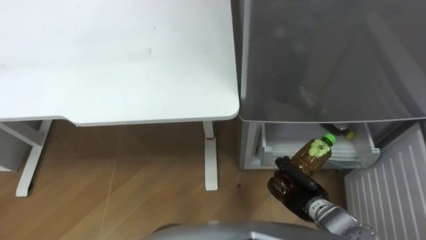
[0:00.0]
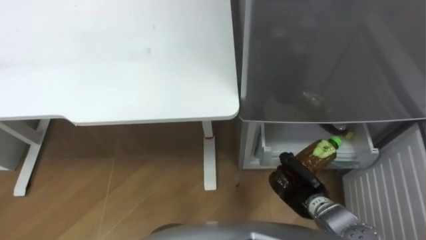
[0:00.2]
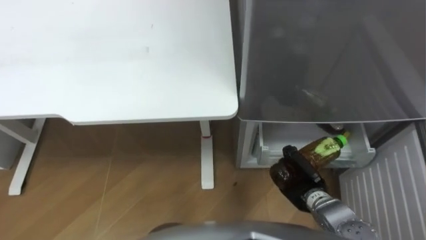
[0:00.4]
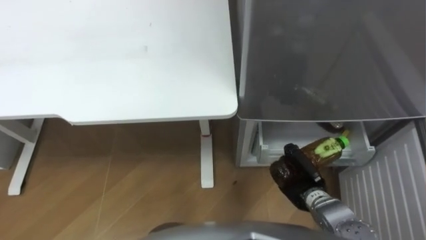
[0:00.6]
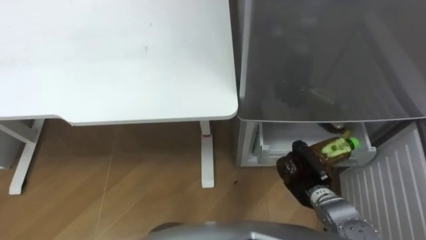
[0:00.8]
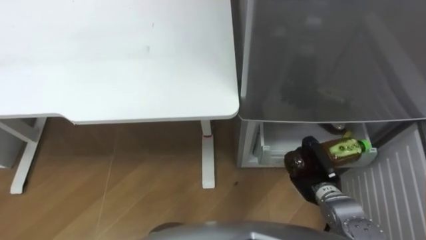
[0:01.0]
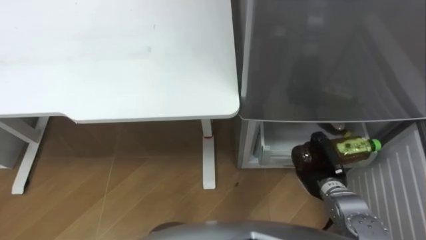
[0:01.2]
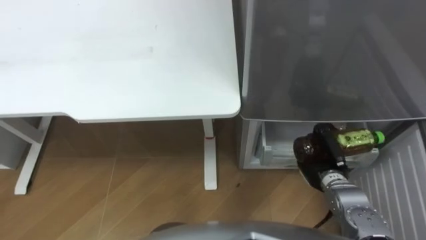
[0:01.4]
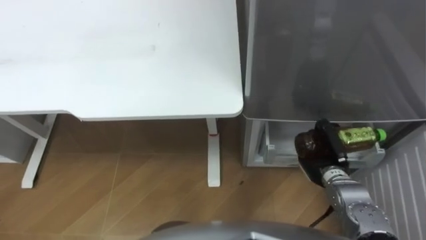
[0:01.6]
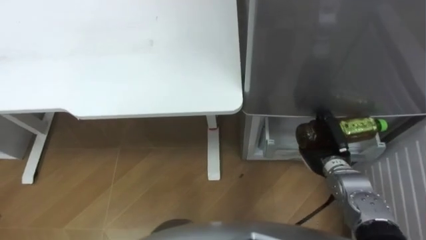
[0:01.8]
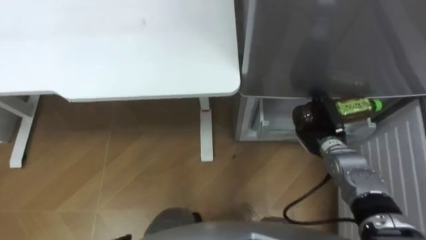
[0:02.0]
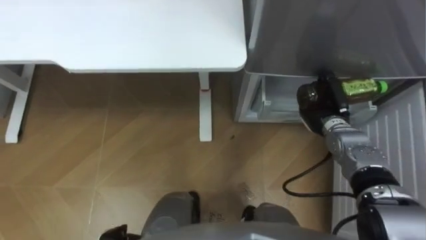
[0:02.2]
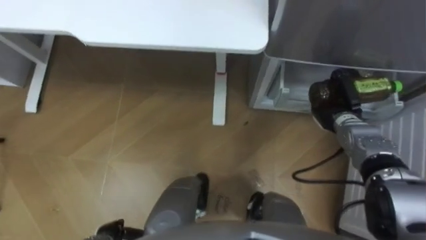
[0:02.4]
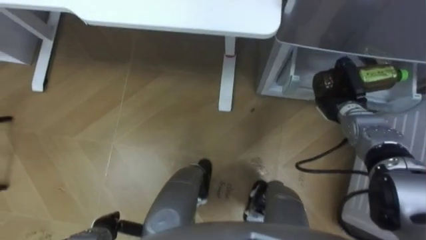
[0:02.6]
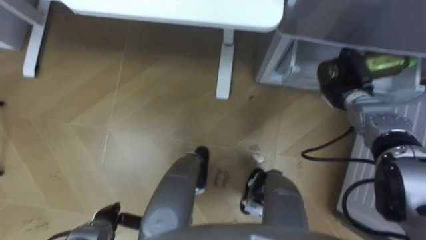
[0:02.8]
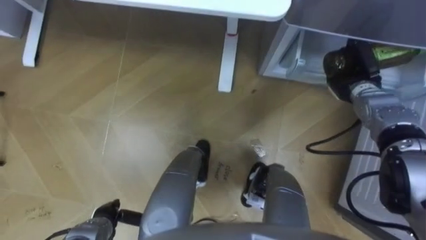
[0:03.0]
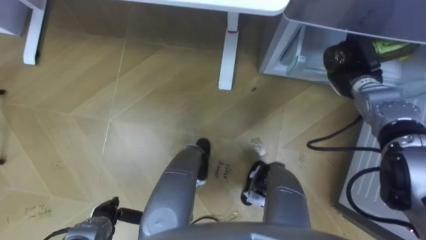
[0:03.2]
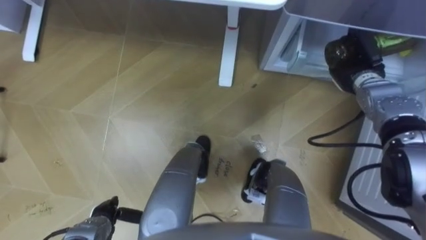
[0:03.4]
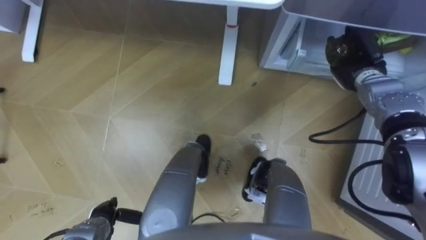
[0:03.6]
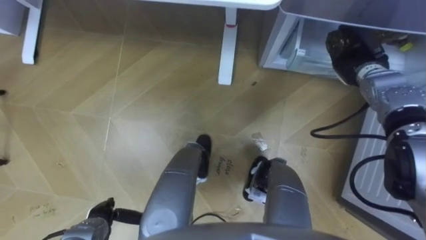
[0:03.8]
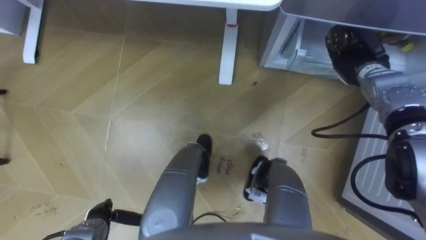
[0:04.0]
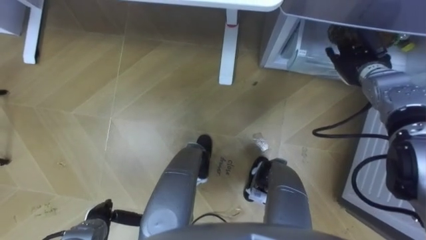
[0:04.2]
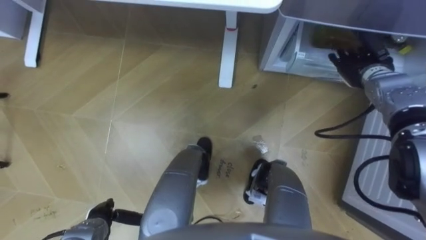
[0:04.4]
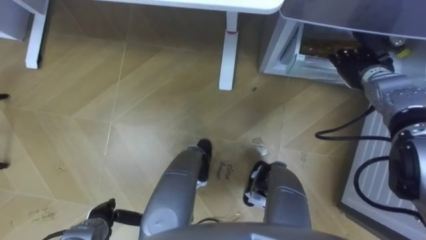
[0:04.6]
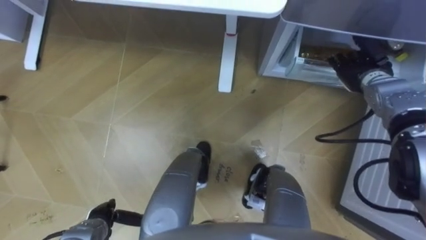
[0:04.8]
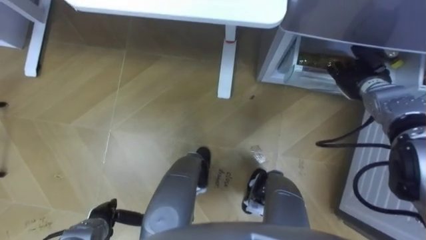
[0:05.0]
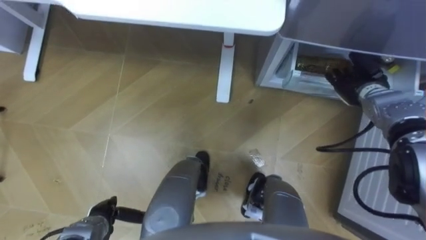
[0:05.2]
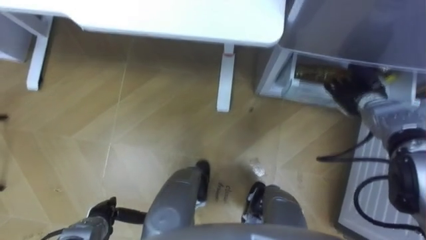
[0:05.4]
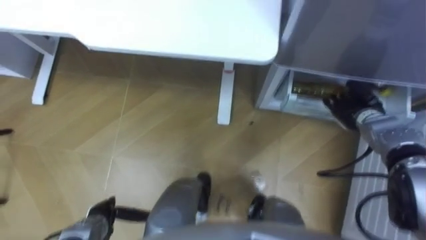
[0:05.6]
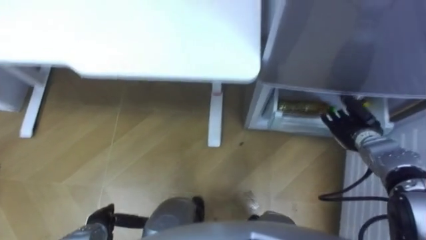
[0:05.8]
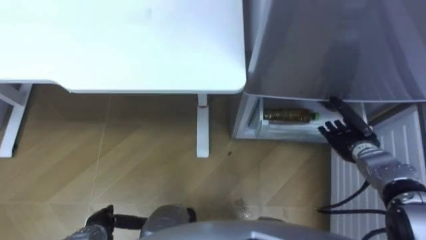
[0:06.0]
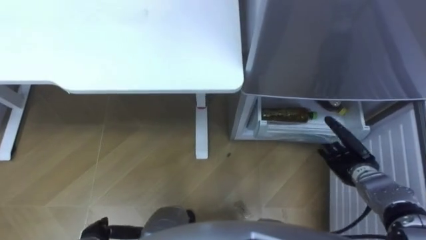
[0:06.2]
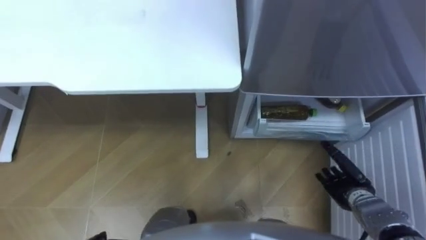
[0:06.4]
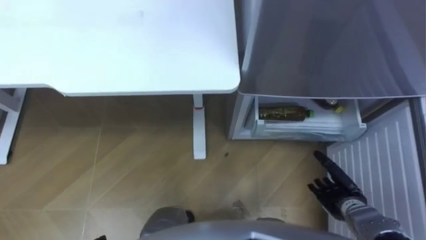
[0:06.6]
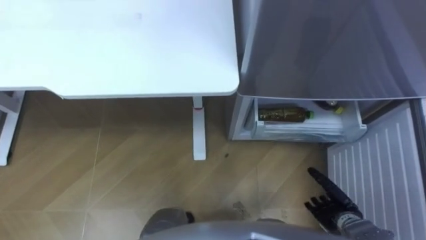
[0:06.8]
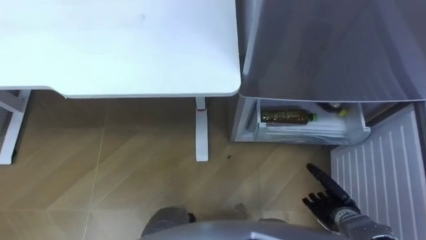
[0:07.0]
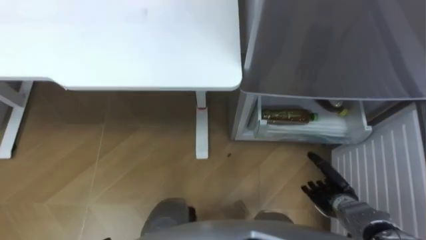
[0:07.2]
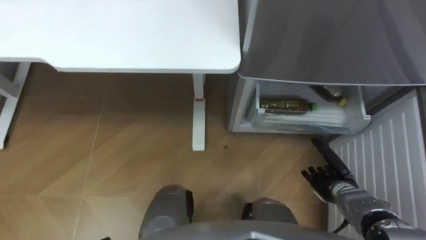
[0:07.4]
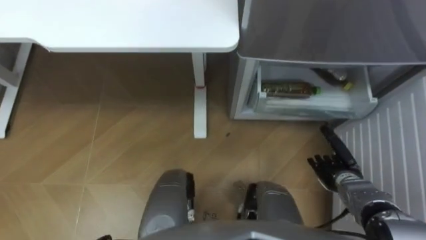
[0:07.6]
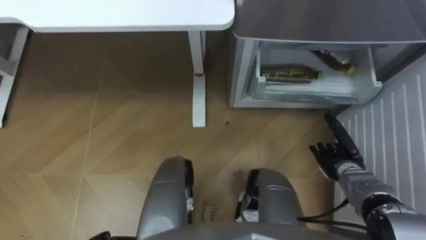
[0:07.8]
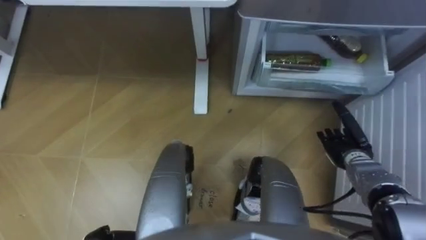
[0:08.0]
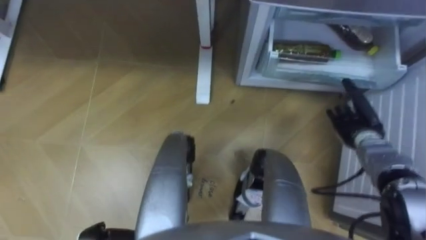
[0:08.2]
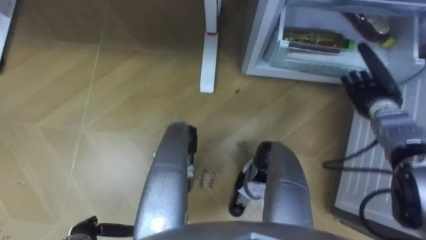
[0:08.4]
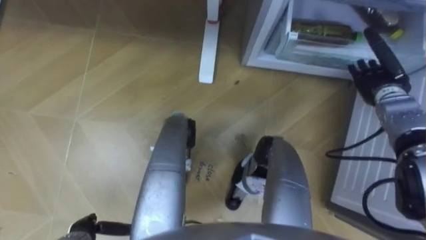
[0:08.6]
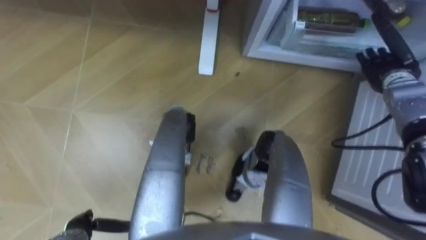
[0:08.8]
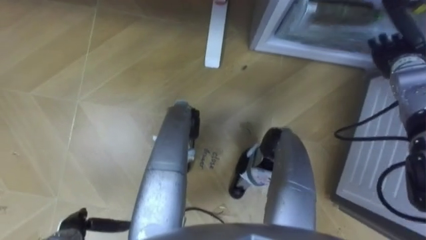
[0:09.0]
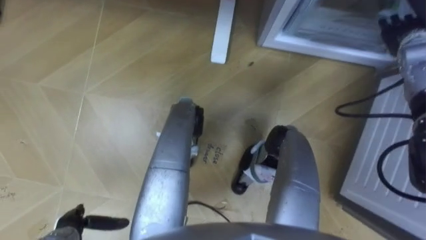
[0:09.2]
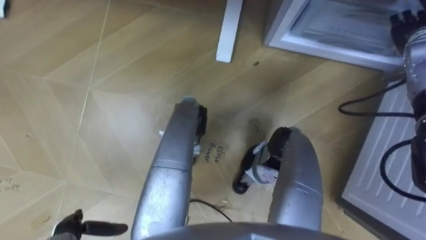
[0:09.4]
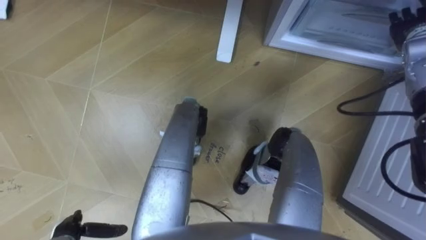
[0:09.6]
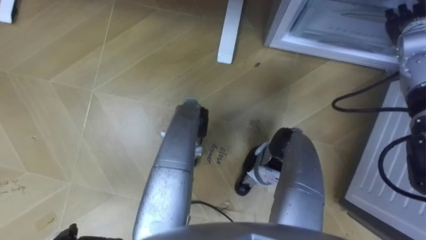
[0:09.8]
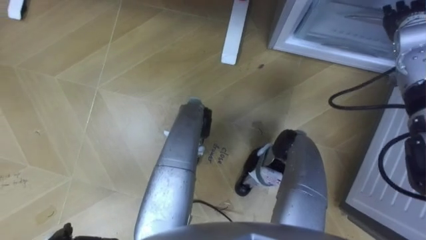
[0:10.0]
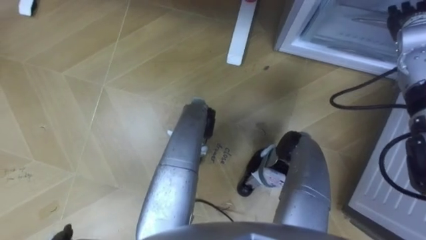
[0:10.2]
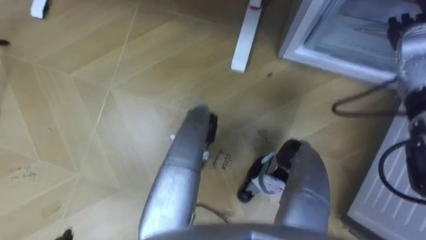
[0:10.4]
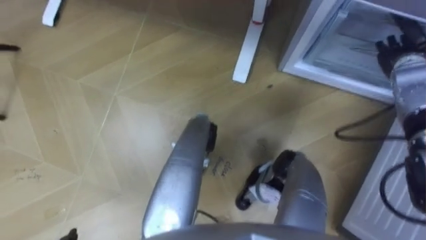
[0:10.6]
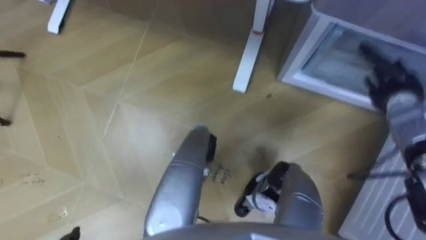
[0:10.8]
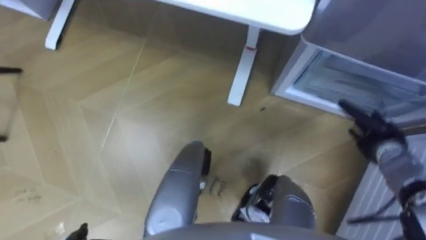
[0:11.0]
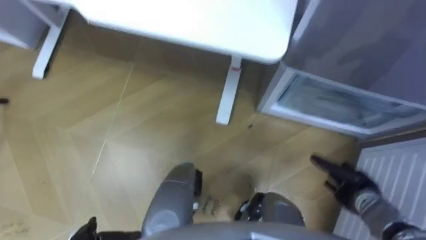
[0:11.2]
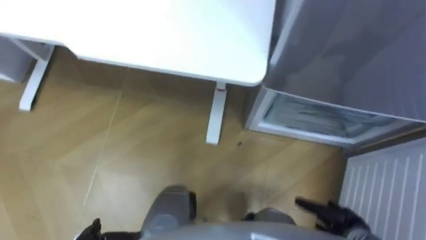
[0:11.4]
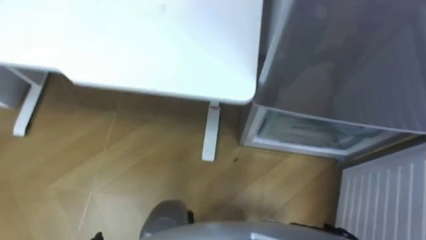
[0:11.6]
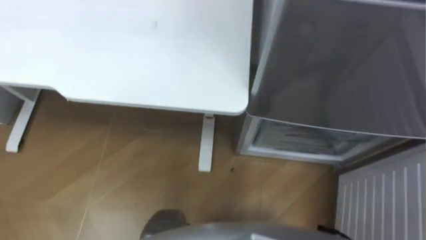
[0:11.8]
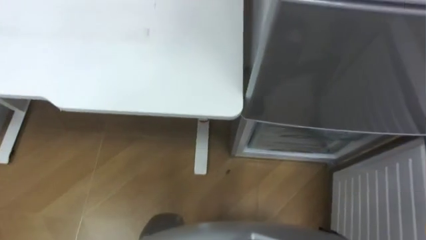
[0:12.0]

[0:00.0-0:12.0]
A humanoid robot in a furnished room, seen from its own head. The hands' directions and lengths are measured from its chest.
Task of the whole recording: Place the drink on the table on the bottom shelf of the refrigerator, then close the drawer and the refrigerator door.
0:00.0 to 0:01.6: The right hand is displaced forward by some 5 cm.
0:01.6 to 0:03.0: The right hand is displaced forward and upward by roughly 20 cm.
0:03.0 to 0:04.4: The right hand opens its fingers.
0:04.4 to 0:06.0: The right hand moves backward and downward, roughly 15 cm.
0:06.0 to 0:07.6: The right hand shifts roughly 5 cm backward.
0:07.6 to 0:09.0: The right hand travels forward and upward by about 25 cm.
0:09.0 to 0:10.4: The right hand changes place by roughly 5 cm.

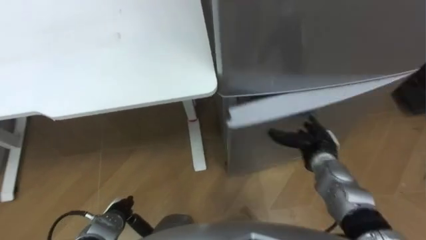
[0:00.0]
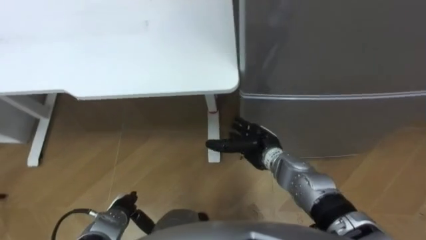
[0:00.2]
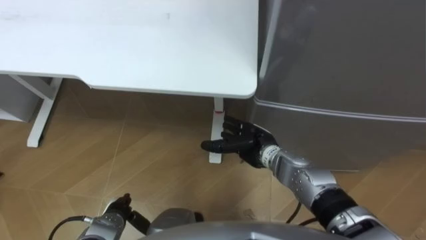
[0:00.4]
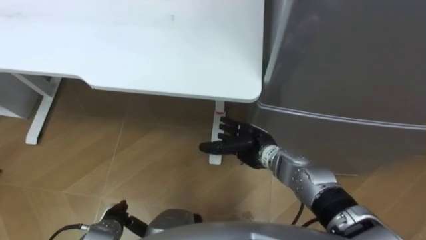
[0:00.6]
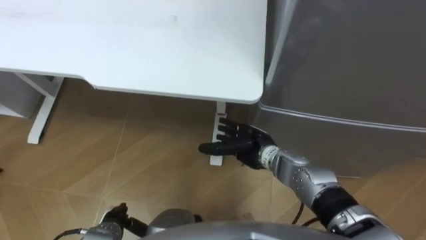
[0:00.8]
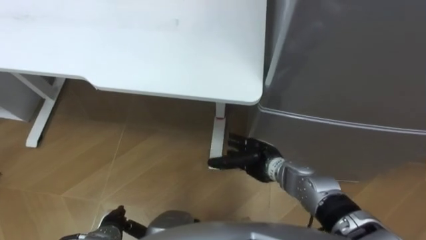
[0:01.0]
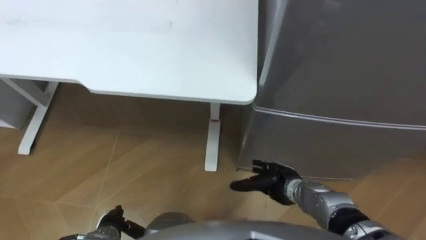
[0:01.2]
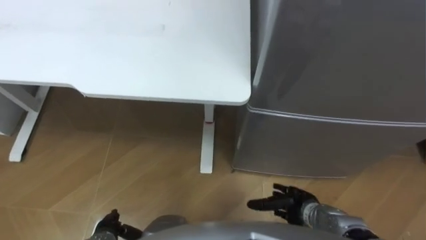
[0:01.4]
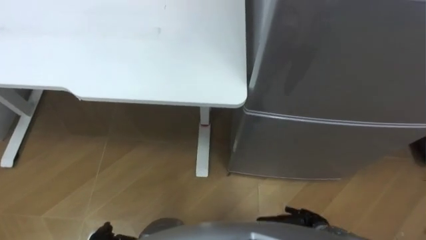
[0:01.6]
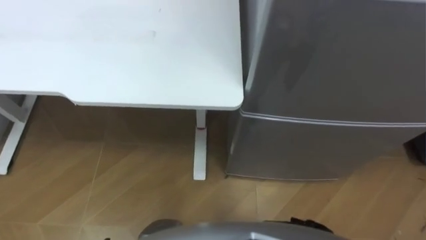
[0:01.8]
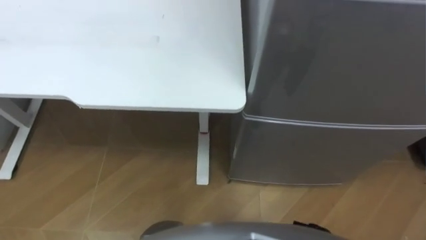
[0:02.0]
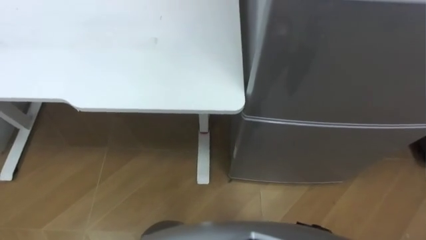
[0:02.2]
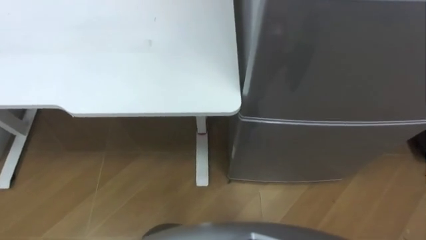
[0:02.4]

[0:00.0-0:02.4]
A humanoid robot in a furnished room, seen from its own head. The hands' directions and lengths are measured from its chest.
Task of the whole recording: Place the drink on the table on the bottom shelf of the refrigerator, then close the drawer and the refrigerator door.
0:00.0 to 0:01.2: The right hand is displaced to the left and backward by approximately 10 cm.

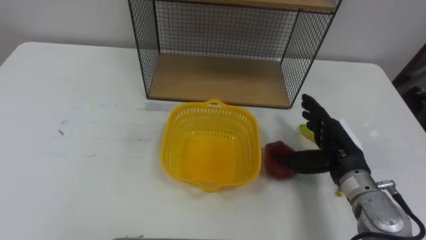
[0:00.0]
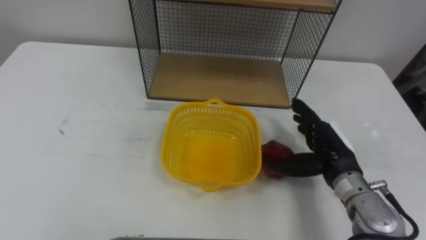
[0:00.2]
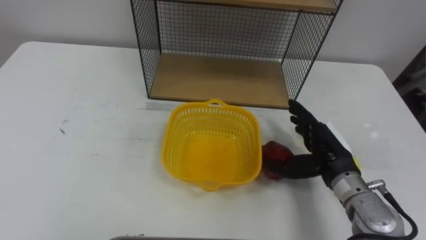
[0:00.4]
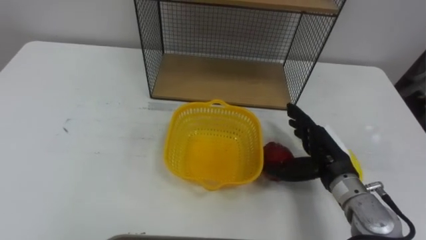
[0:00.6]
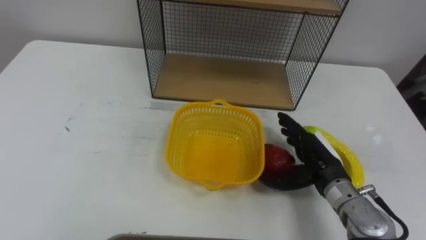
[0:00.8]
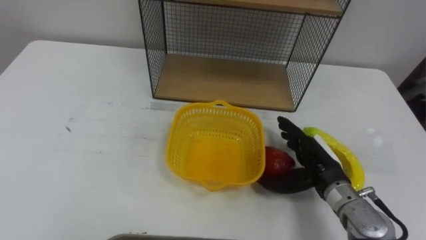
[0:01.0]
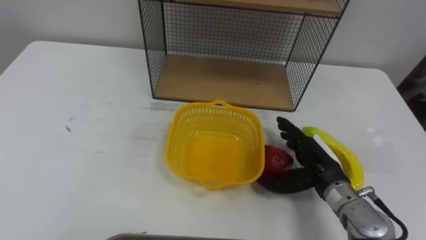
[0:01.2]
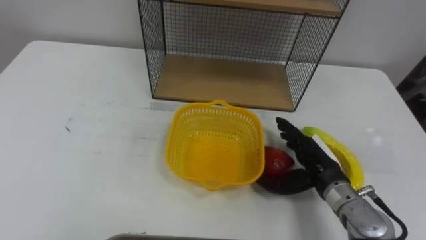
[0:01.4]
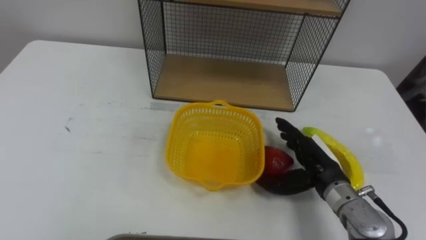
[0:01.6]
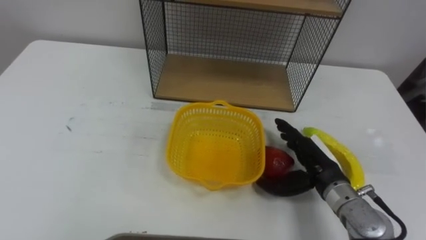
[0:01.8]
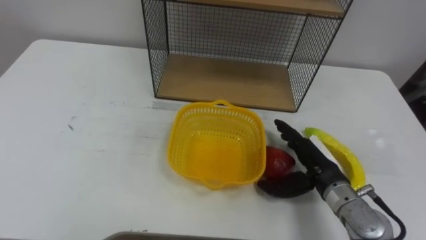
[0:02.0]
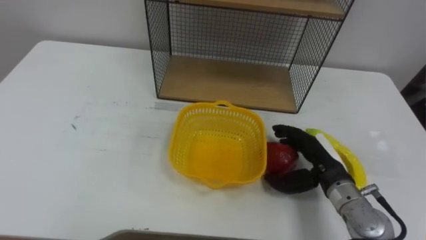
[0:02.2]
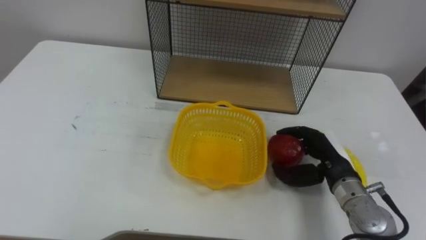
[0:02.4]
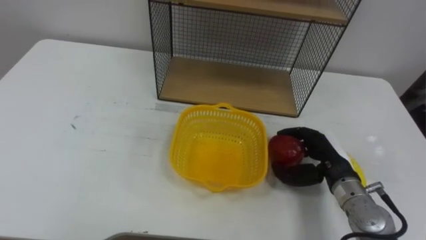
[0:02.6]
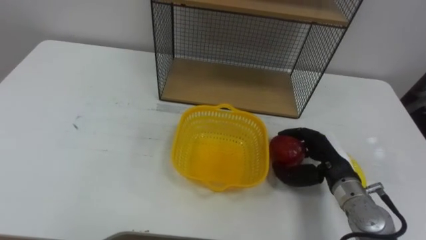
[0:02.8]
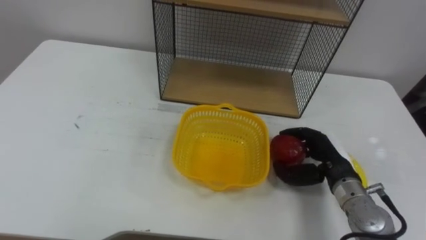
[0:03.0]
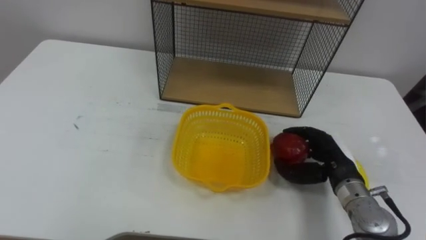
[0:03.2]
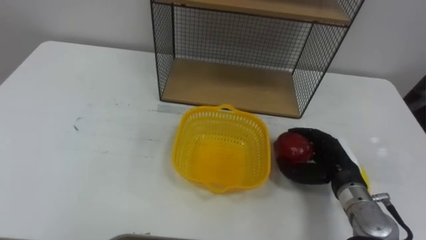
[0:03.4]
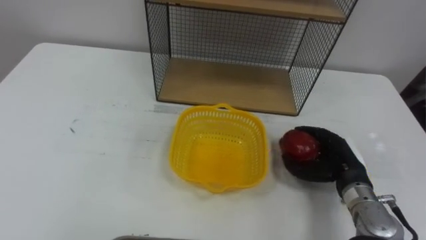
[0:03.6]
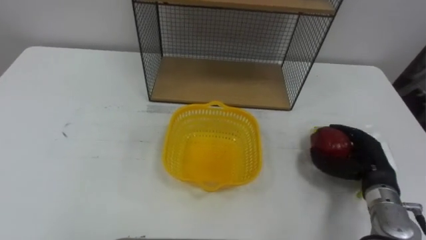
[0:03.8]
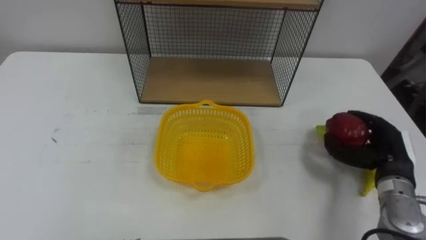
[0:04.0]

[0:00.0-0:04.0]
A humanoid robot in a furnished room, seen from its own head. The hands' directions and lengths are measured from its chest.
Task of the whole recording: Put the fruit on the table into the basket, then place the basket on the shelf.
0:01.4 to 0:02.6: The right hand closes its fingers.
0:02.6 to 0:04.0: The right hand moves to the right, some 10 cm.
